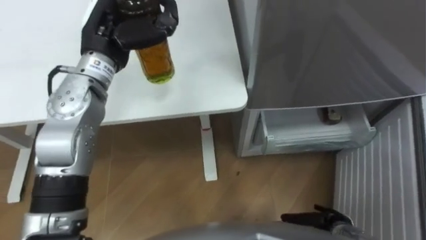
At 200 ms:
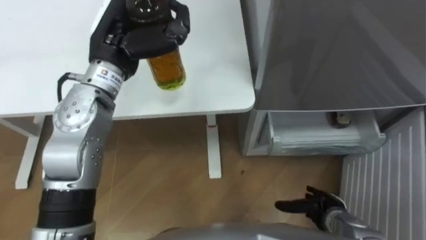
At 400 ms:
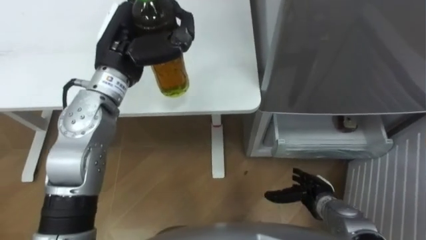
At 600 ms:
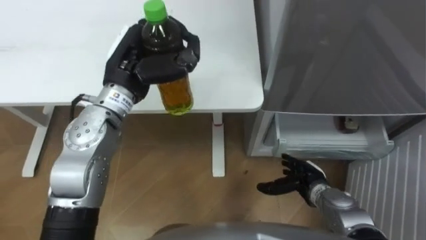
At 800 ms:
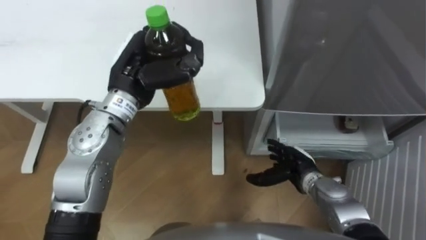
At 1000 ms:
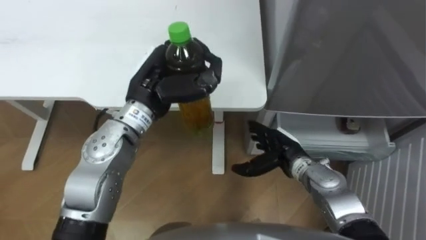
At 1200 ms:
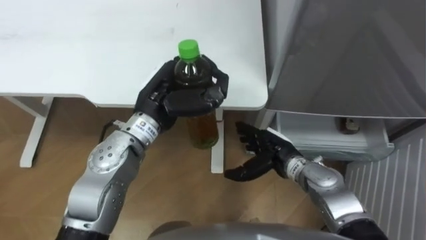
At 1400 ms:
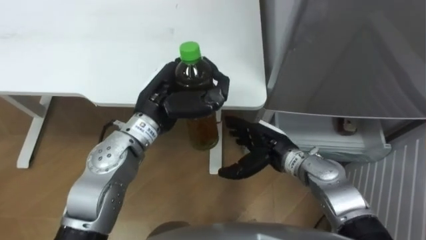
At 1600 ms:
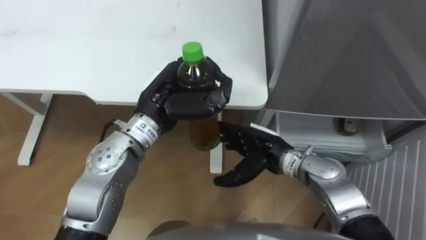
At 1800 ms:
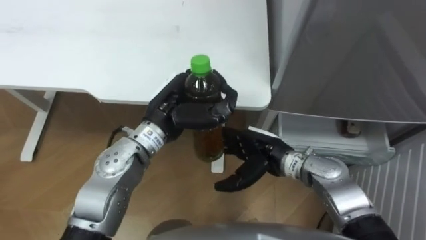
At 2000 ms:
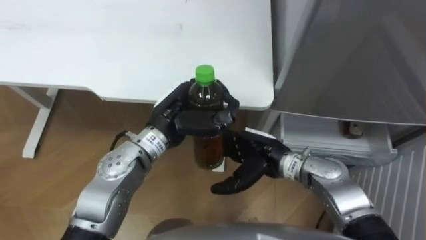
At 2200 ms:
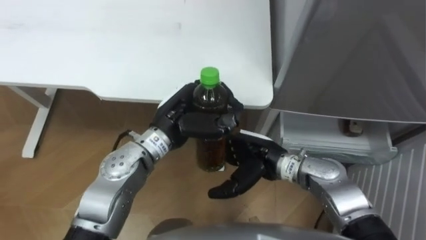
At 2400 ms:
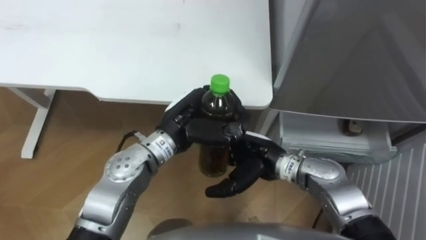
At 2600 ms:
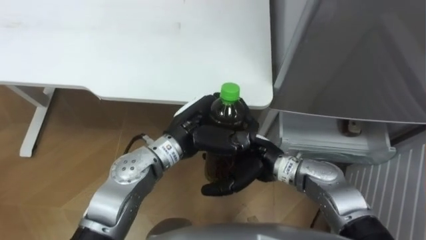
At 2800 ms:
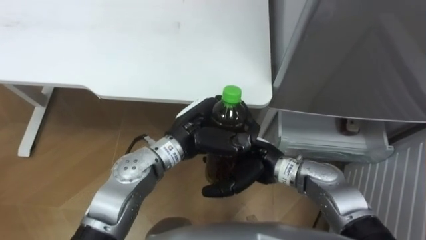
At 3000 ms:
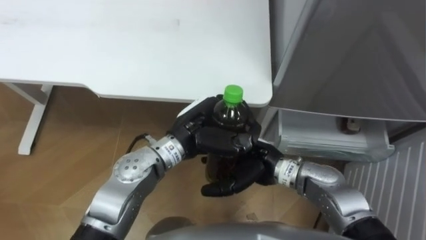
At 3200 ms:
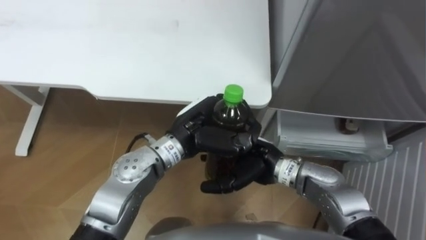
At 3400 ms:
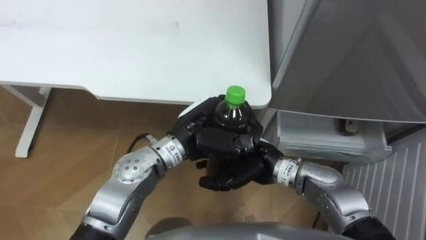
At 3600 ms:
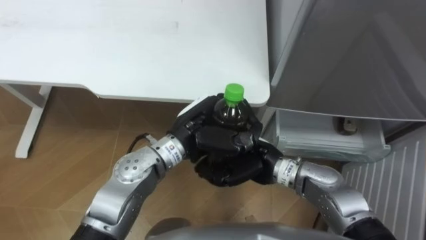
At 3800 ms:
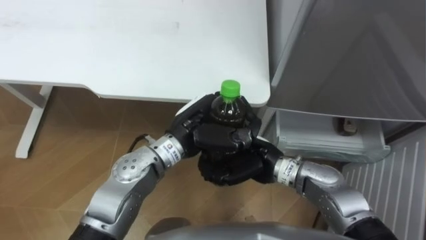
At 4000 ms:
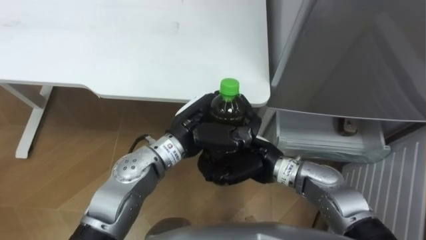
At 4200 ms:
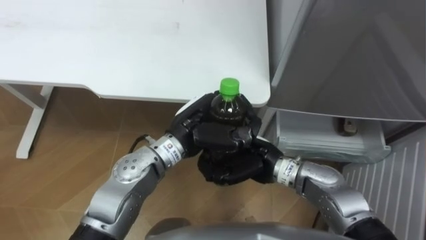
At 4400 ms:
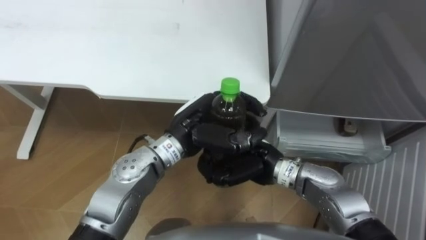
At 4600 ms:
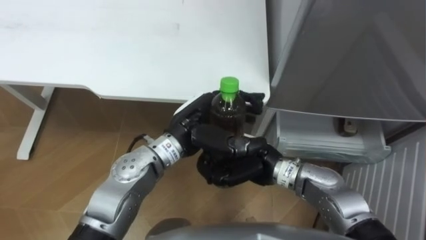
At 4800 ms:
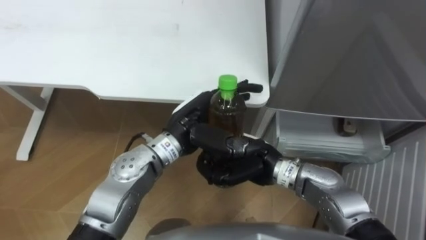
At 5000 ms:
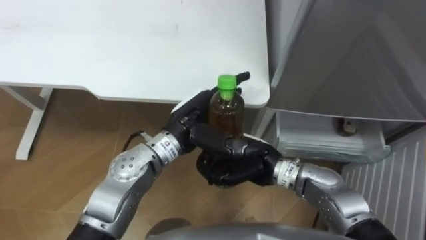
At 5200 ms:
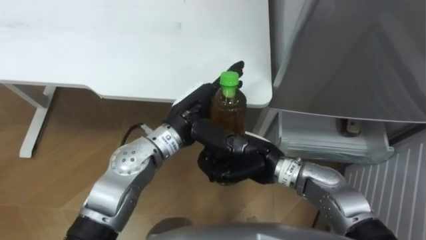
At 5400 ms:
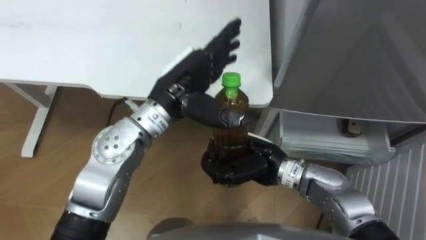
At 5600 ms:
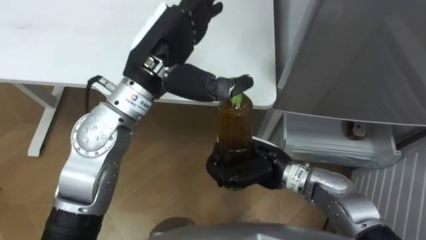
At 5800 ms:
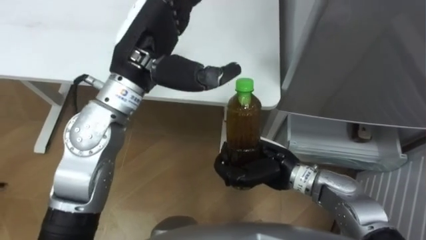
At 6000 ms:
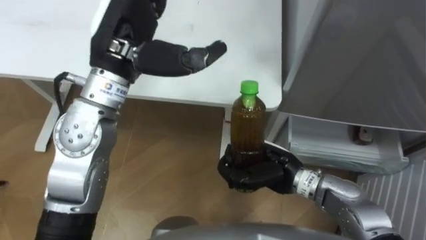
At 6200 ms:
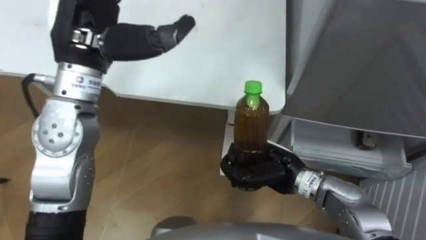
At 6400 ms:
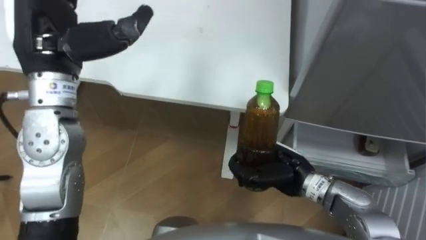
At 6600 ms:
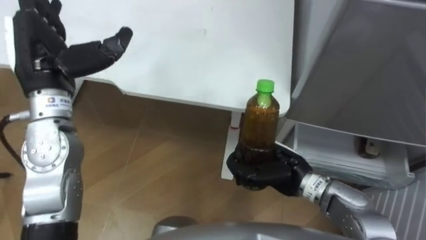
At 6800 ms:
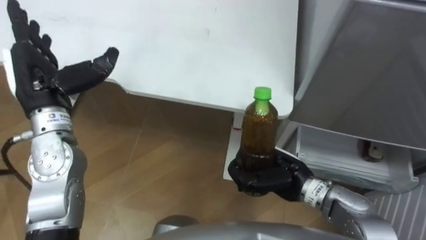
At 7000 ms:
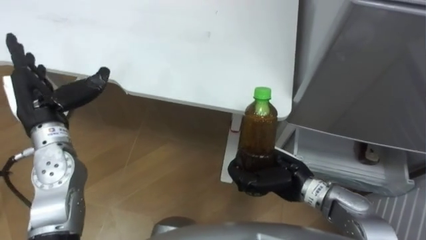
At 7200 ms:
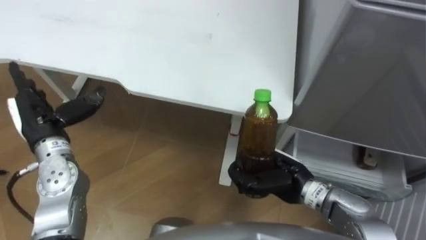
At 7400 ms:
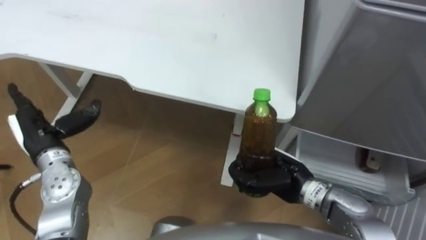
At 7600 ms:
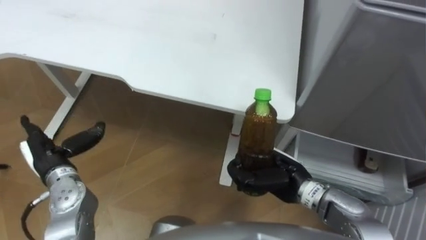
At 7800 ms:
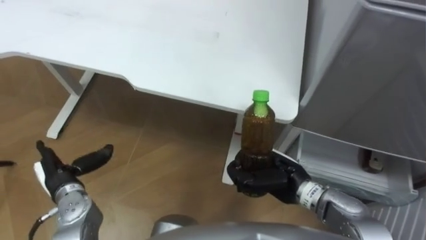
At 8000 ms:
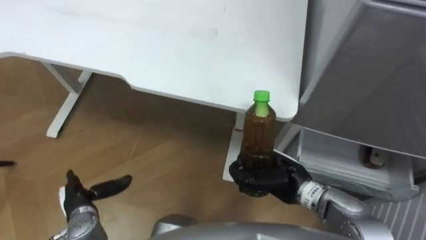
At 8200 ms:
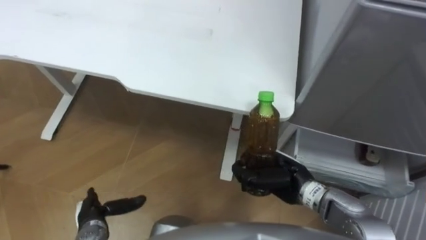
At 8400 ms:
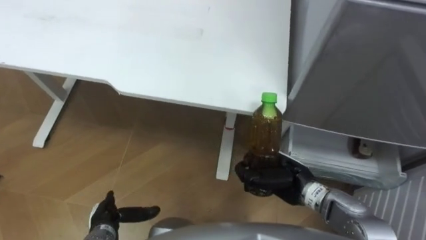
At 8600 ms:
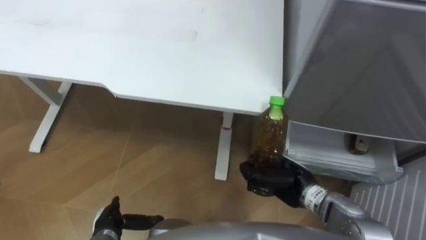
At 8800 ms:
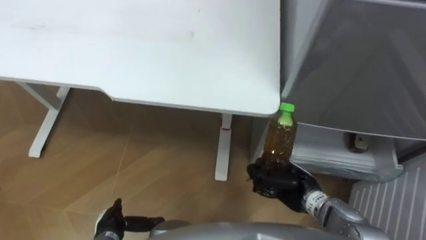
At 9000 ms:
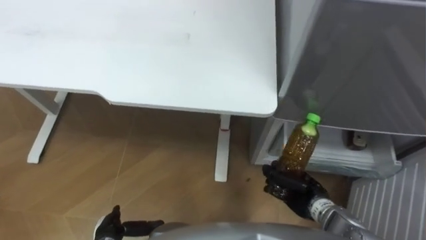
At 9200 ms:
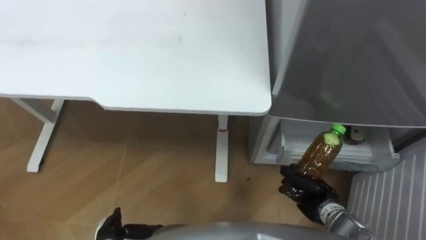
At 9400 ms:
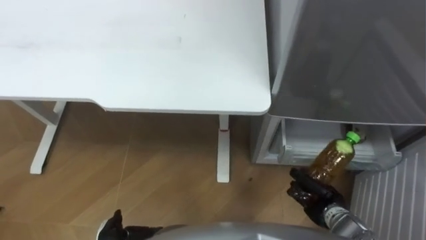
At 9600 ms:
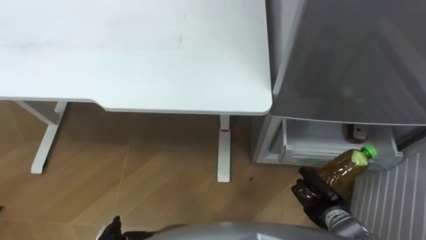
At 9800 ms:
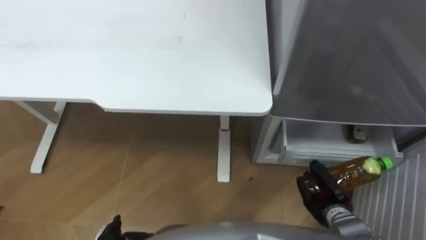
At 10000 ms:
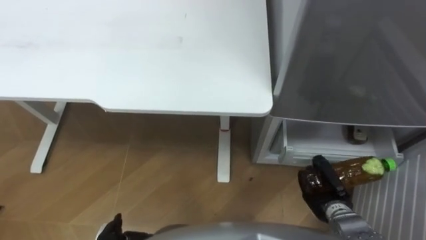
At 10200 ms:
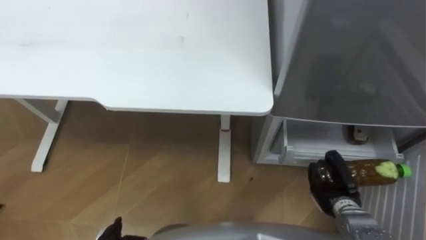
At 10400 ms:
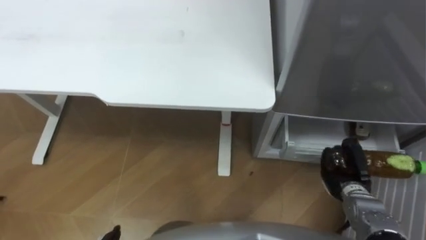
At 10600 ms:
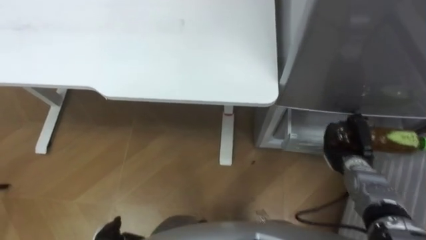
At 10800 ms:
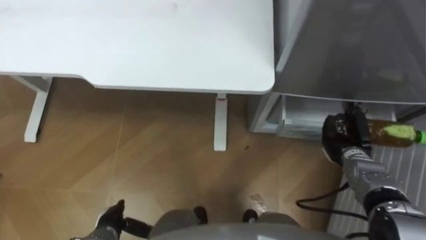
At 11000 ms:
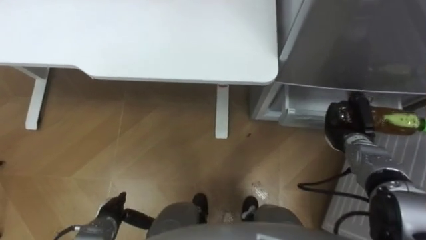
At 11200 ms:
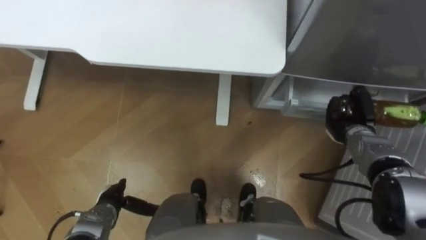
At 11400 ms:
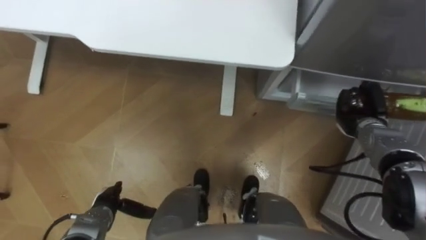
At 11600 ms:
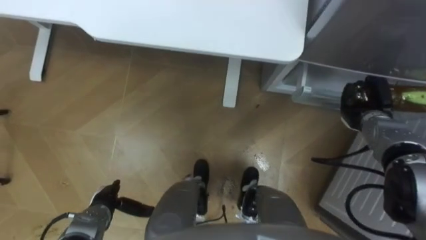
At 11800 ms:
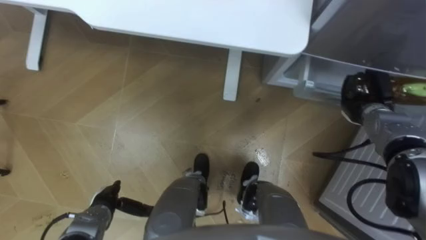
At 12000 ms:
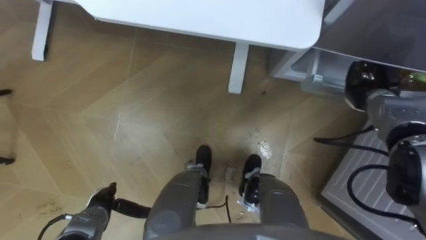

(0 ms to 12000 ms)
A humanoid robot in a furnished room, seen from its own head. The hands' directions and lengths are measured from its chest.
Task of the whole recording: Place the drink on the table on the bottom shelf of the refrigerator, then close the drawer and the refrigerator door.
0 ms - 1600 ms: The left hand heads to the right, backward and downward, covering approximately 15 cm. The right hand travels to the left, forward and upward by some 25 cm.
1600 ms - 3000 ms: The left hand goes approximately 5 cm to the right.
3000 ms - 4400 ms: The right hand closes up.
4400 ms - 6000 ms: The left hand goes about 20 cm upward and to the left, and opens up.
6000 ms - 7600 ms: The left hand travels downward, to the left and backward by roughly 30 cm.
7600 ms - 9000 ms: The left hand heads downward, backward and to the right, covering roughly 20 cm. The right hand goes some 10 cm downward and to the right.
9000 ms - 10400 ms: The right hand is displaced to the right by approximately 10 cm.
10400 ms - 12000 ms: The right hand moves forward and upward, about 20 cm.

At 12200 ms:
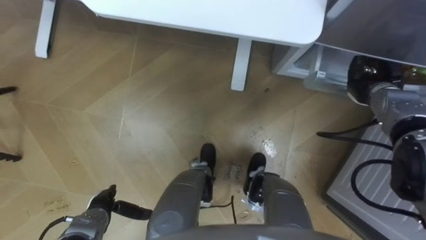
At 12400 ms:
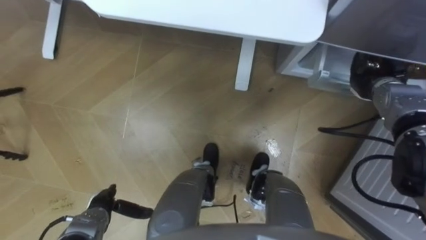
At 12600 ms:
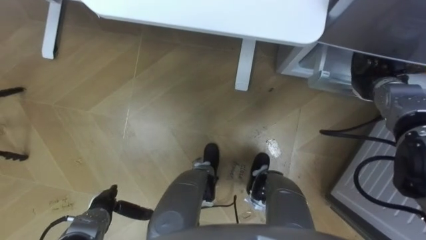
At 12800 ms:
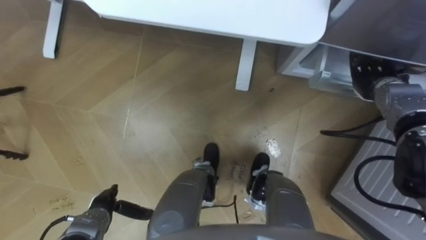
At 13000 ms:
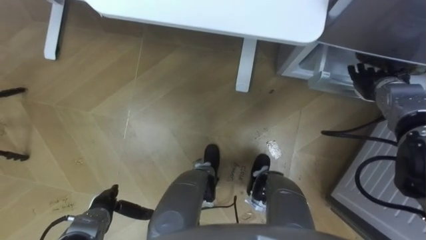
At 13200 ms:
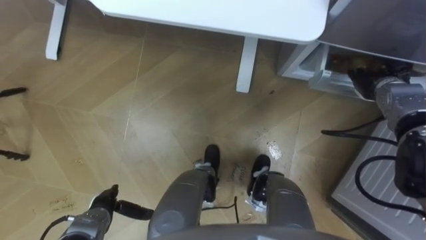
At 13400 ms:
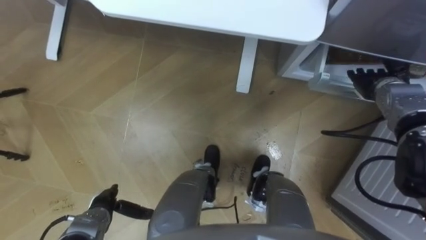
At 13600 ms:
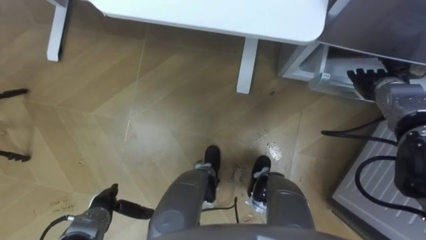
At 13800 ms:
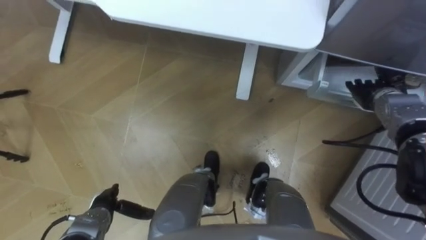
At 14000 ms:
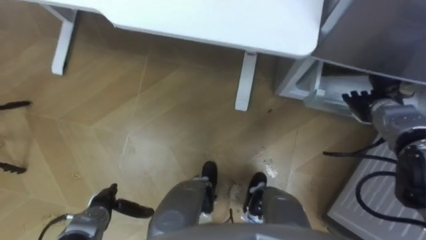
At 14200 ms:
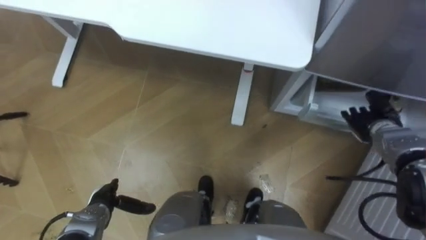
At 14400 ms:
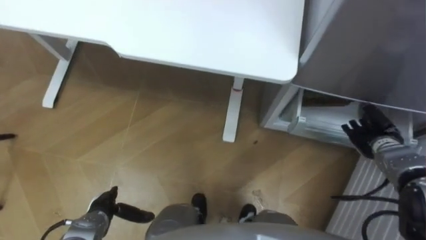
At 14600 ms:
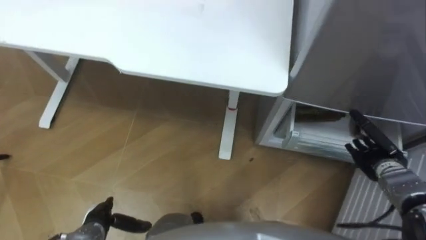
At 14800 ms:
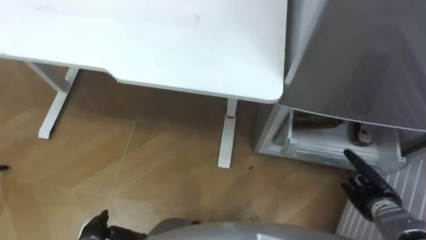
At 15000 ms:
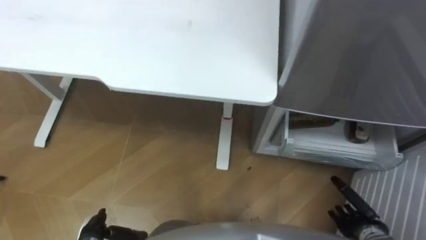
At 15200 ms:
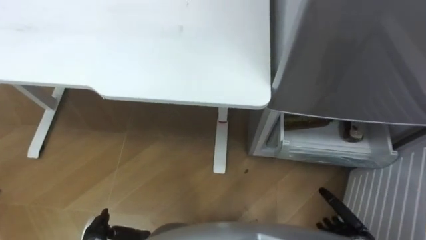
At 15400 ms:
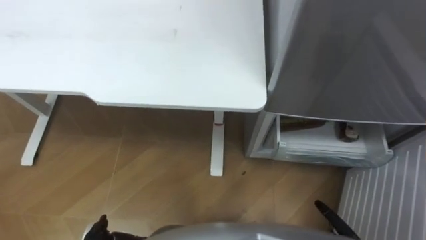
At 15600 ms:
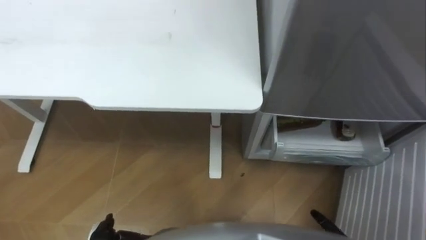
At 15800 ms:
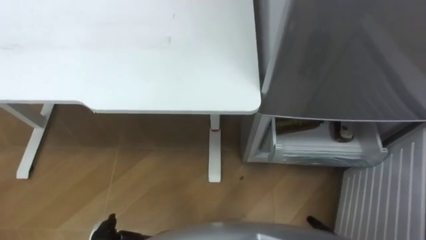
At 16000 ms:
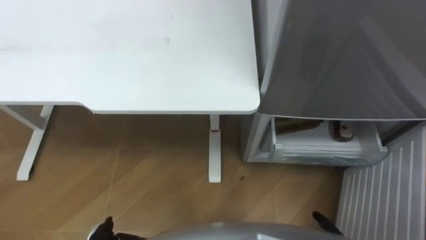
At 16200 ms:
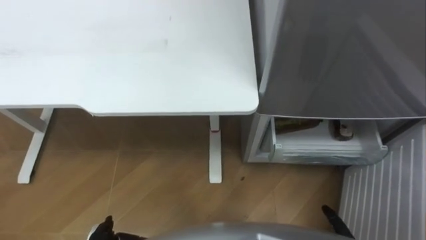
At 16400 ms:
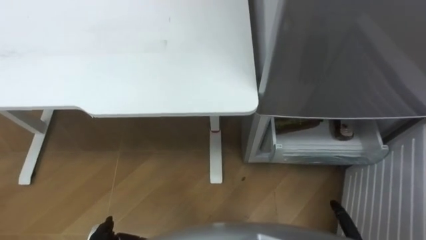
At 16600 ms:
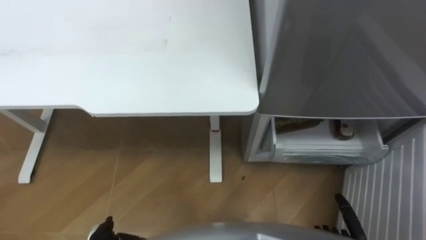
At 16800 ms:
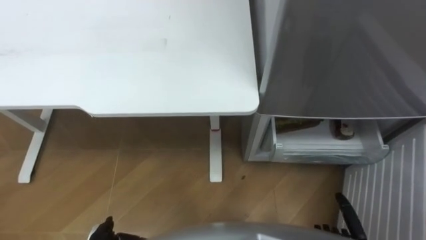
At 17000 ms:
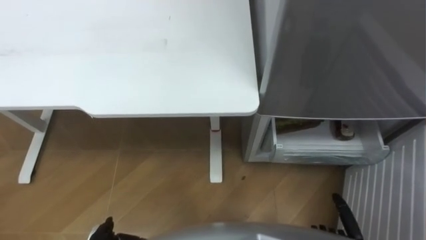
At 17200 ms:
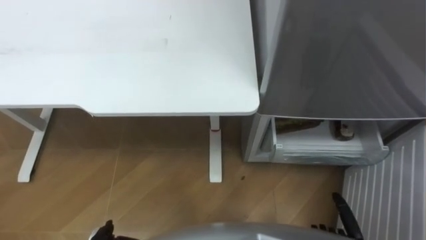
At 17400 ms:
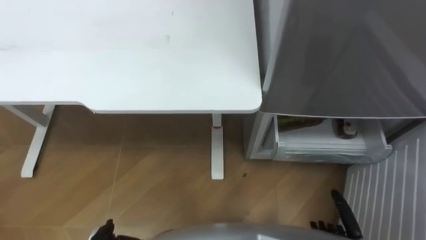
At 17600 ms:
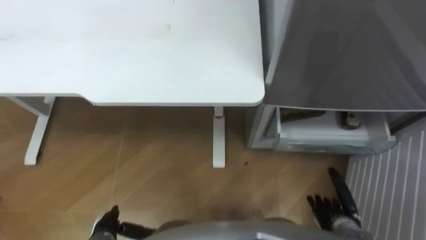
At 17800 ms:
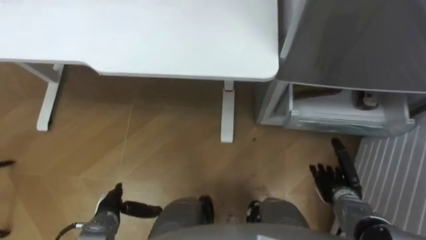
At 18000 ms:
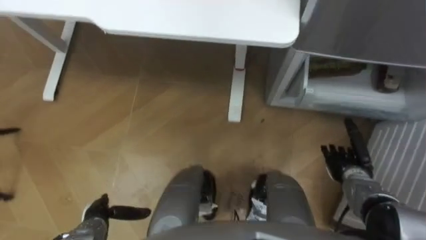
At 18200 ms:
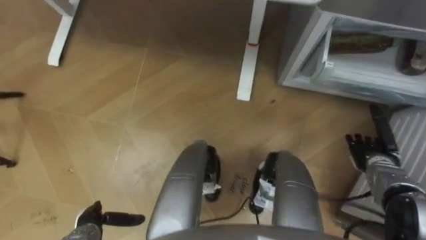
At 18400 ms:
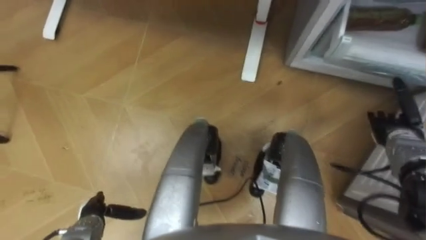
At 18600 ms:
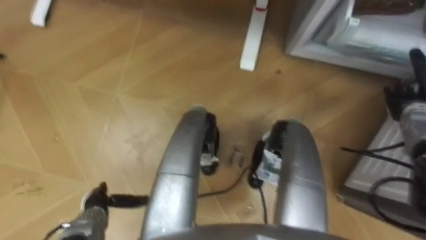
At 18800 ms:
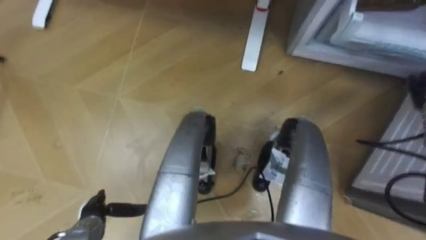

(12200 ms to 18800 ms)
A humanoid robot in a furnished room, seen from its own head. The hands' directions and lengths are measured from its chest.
Task of the whole recording: Place the drink on the table on the bottom shelf of the refrigerator, then close the drawer and the refrigerator door.
12200 ms - 13800 ms: The right hand opens up.
